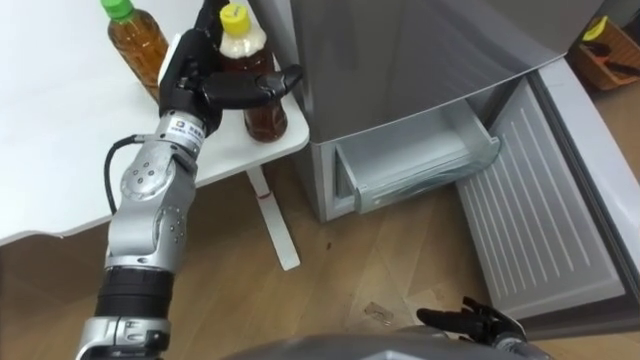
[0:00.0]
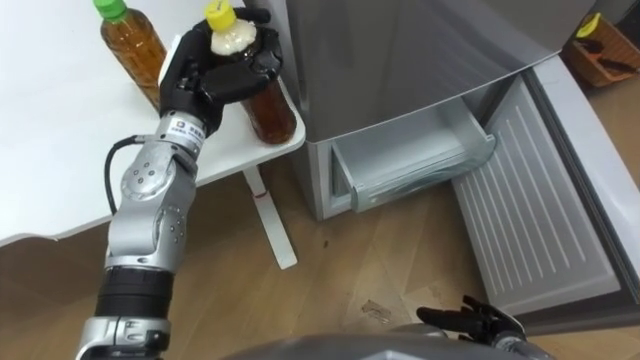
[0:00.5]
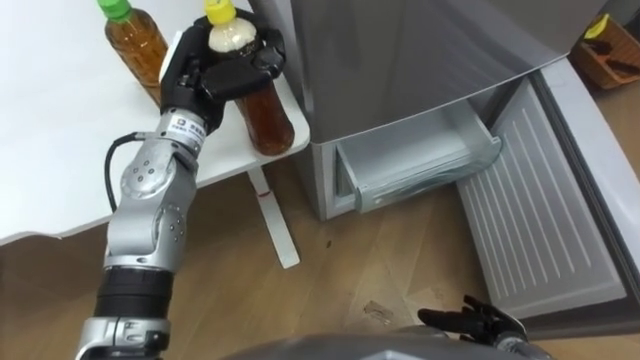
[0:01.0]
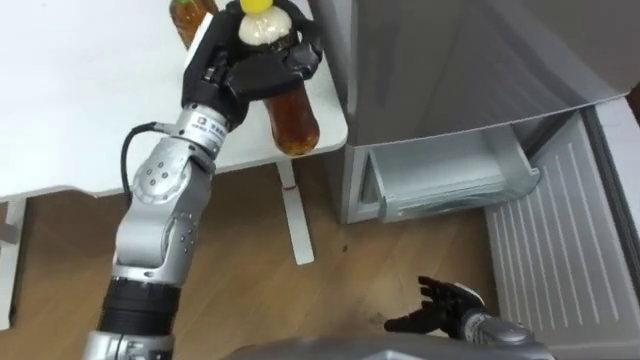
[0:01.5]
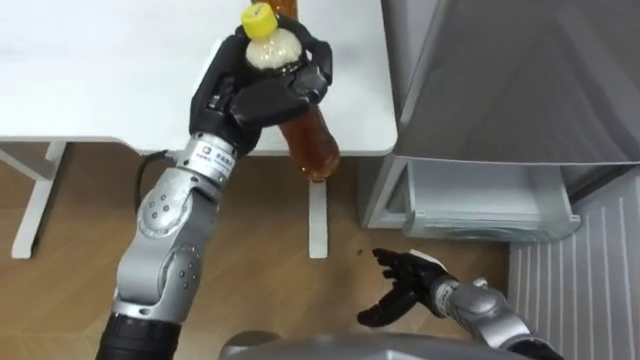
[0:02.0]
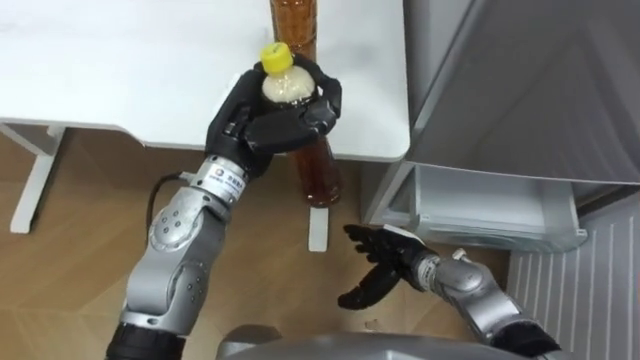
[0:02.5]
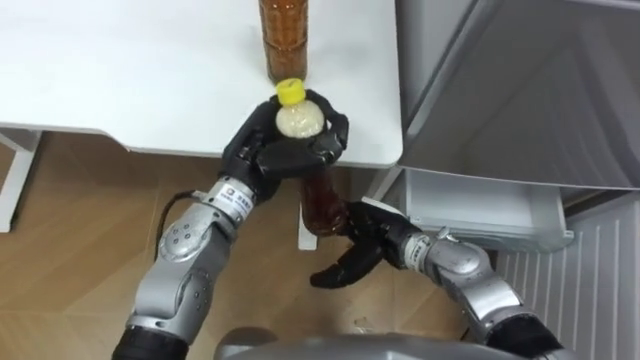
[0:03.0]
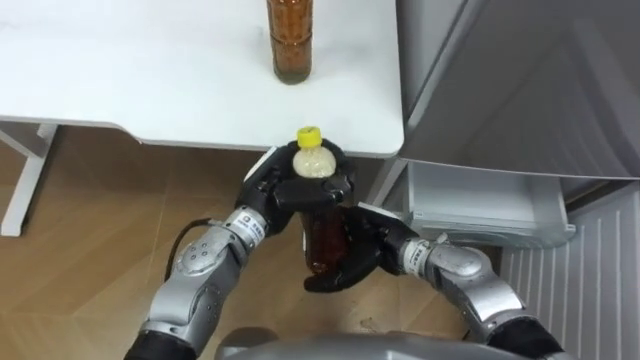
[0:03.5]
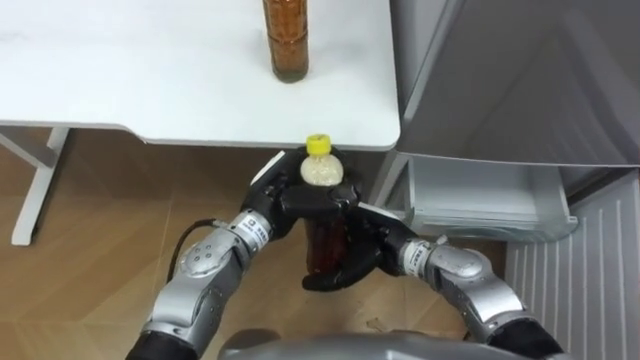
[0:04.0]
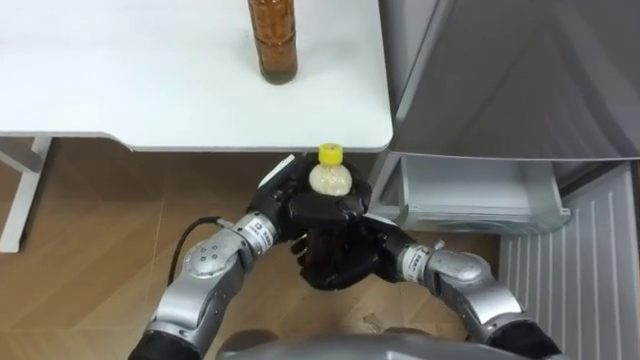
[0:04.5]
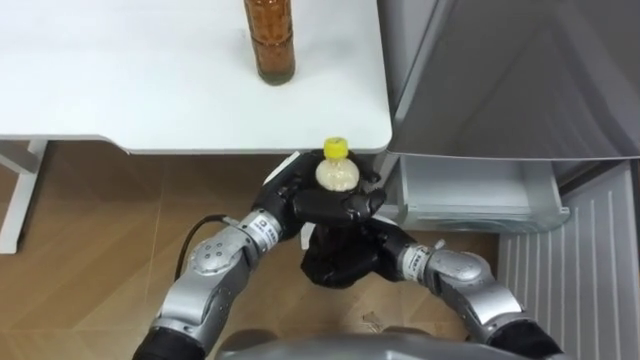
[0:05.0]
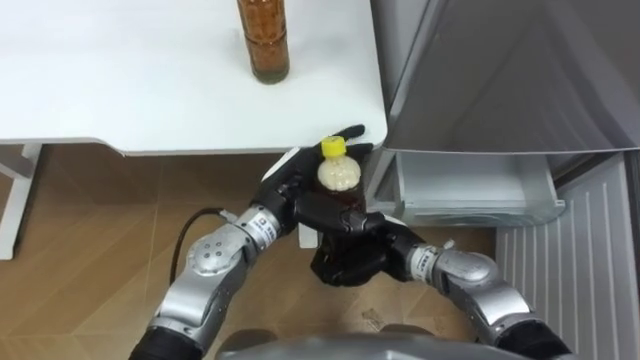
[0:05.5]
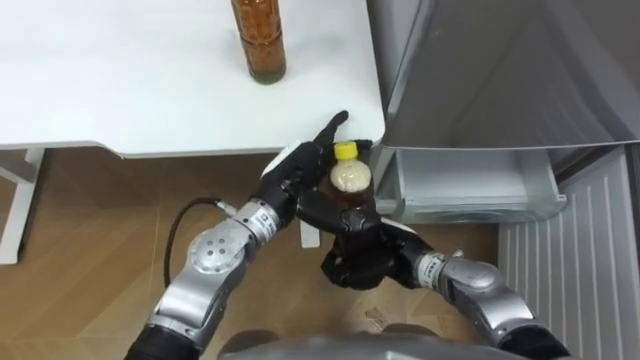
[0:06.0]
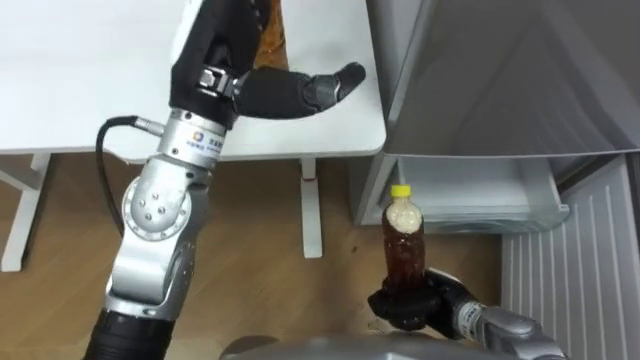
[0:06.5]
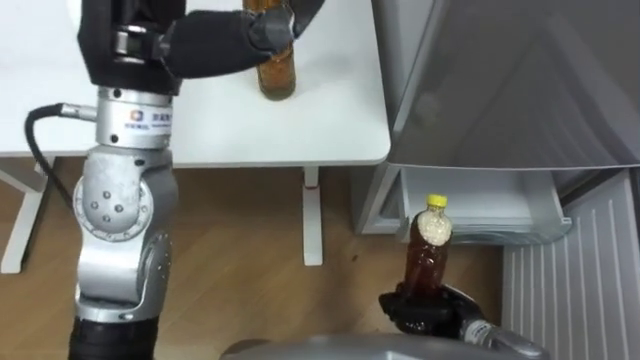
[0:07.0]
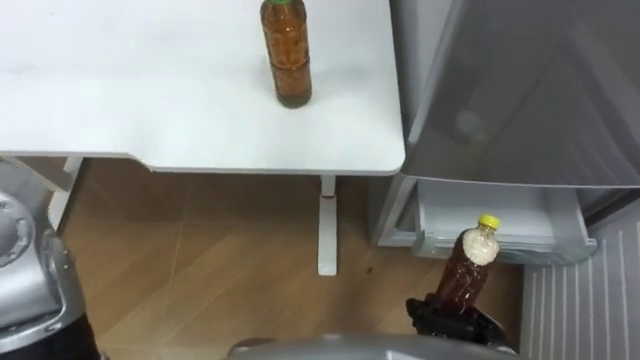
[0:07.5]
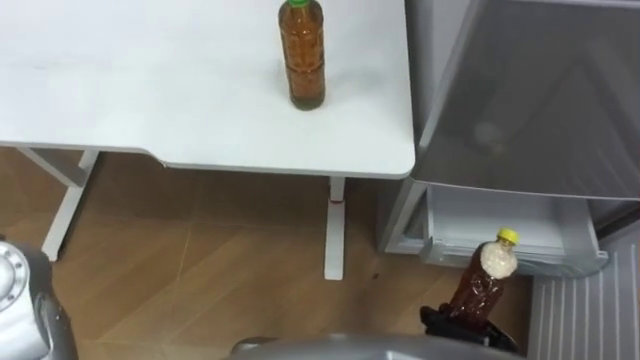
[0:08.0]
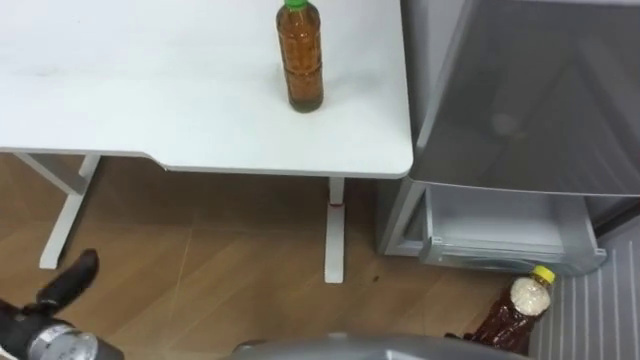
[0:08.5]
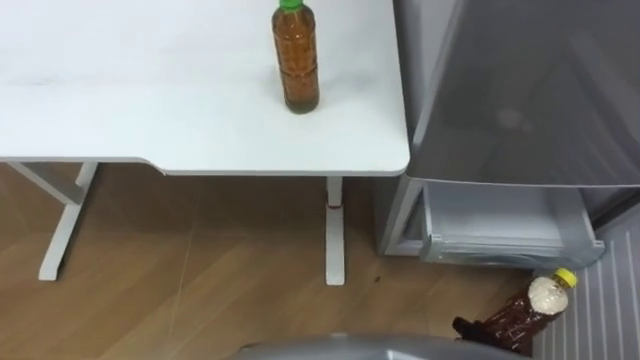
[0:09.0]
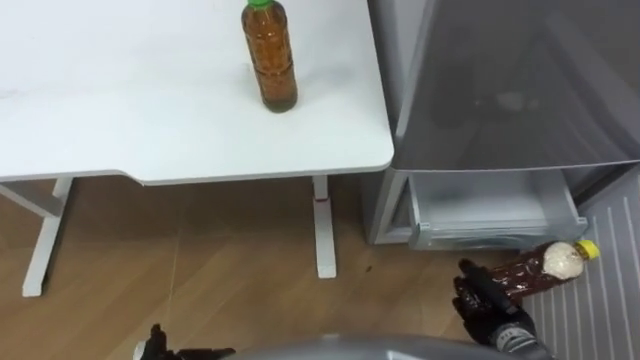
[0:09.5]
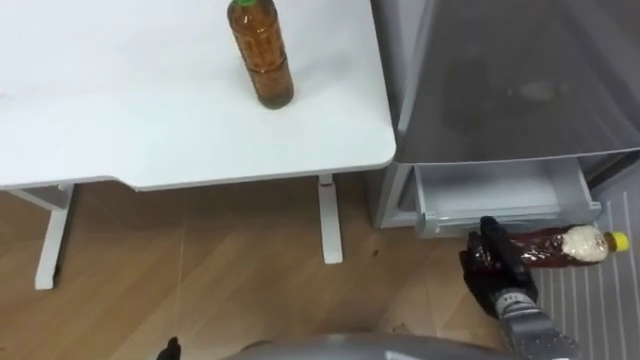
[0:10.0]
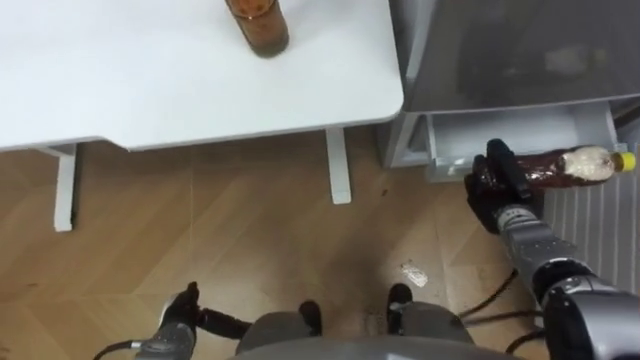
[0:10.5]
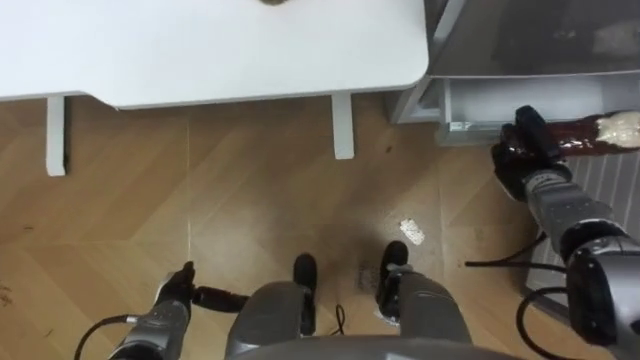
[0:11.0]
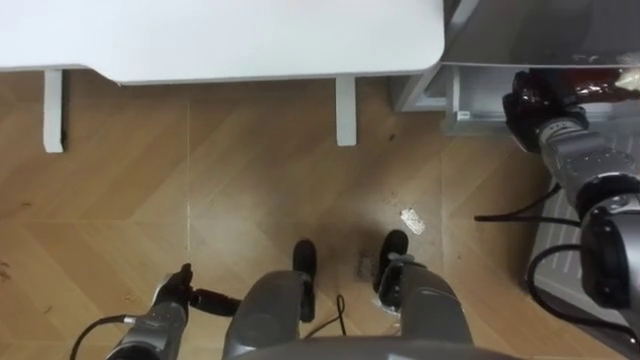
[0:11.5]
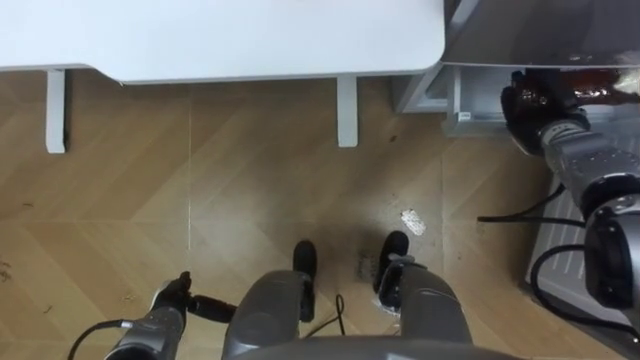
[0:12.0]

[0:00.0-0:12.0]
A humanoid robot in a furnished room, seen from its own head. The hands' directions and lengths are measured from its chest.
Task of the whole recording: Place the drink on the table on the bottom shelf of the refrigerator, then close the drawer and the refrigerator door.
0:00.0 to 0:02.0: The left hand moves to the right, approximately 5 cm, and closes, while the right hand moves to the left and forward, about 15 cm.
0:02.0 to 0:04.0: The right hand moves upward and to the left, roughly 10 cm; the left hand is displaced downward by some 15 cm.
0:04.0 to 0:06.0: The left hand opens its fingers, while the right hand closes.
0:06.0 to 0:08.0: The right hand travels to the right, backward and downward by some 20 cm.
0:10.0 to 0:12.0: The right hand is displaced forward and upward by approximately 25 cm.

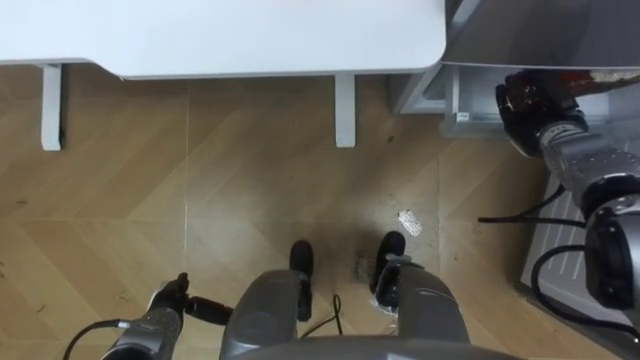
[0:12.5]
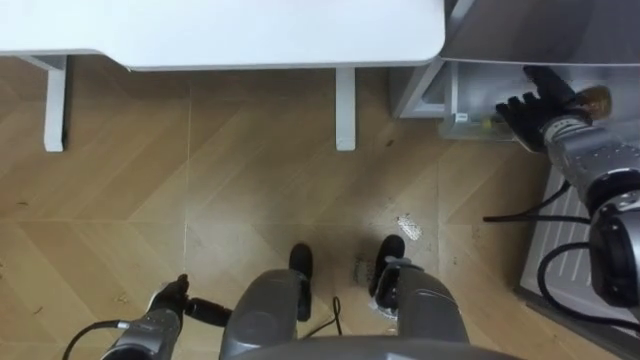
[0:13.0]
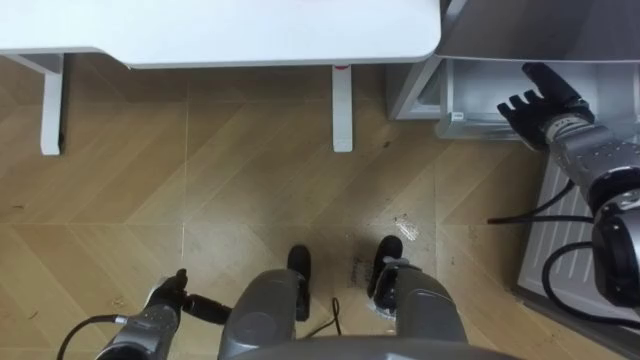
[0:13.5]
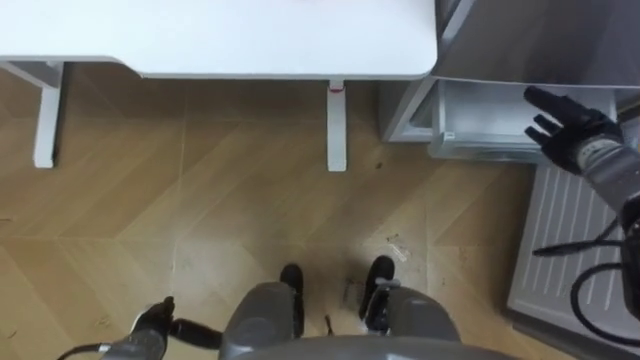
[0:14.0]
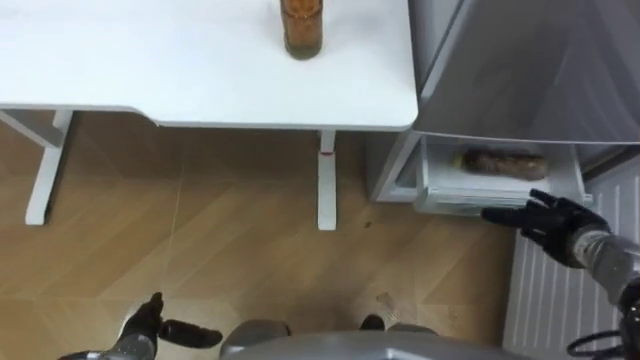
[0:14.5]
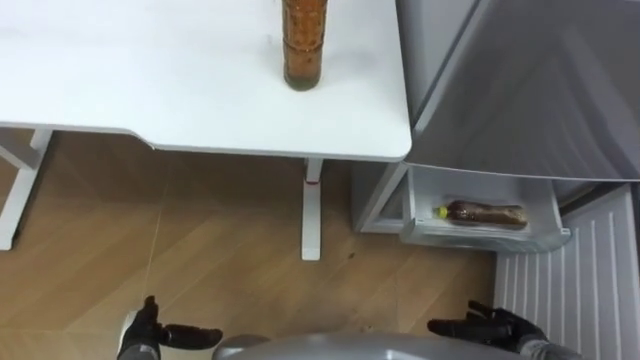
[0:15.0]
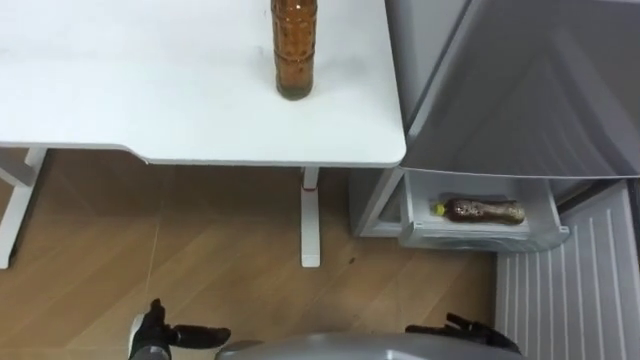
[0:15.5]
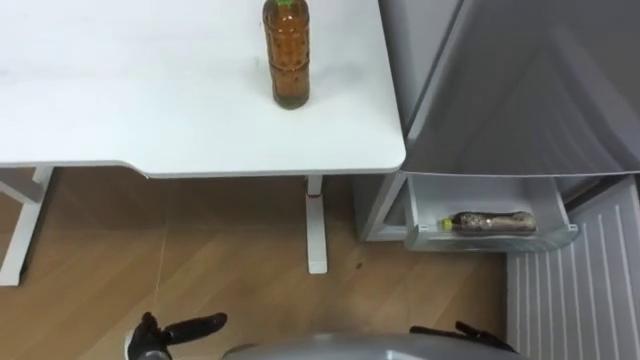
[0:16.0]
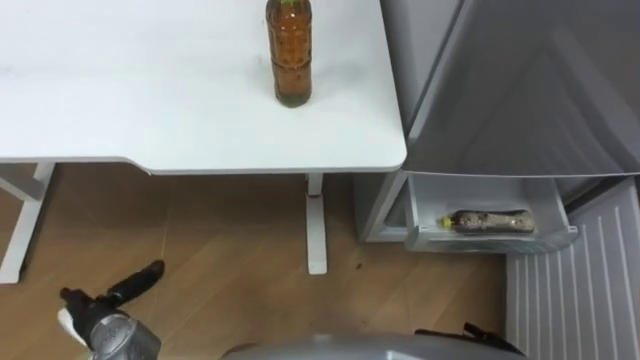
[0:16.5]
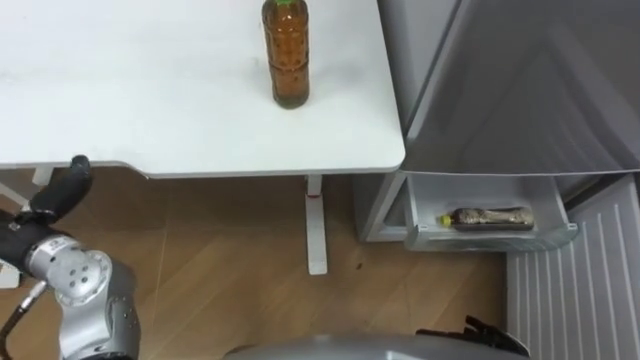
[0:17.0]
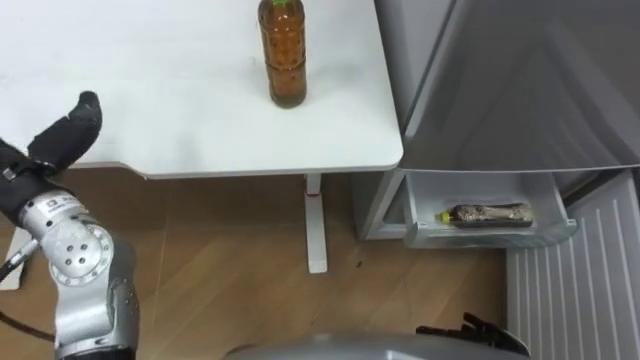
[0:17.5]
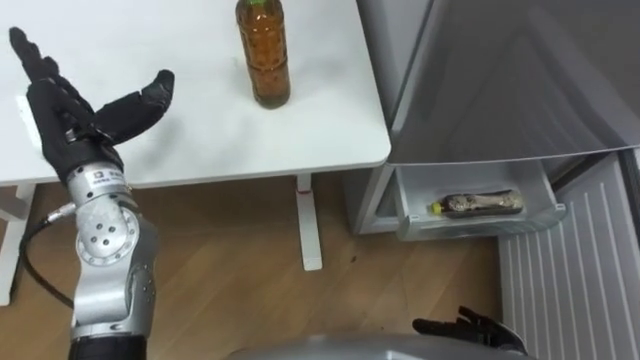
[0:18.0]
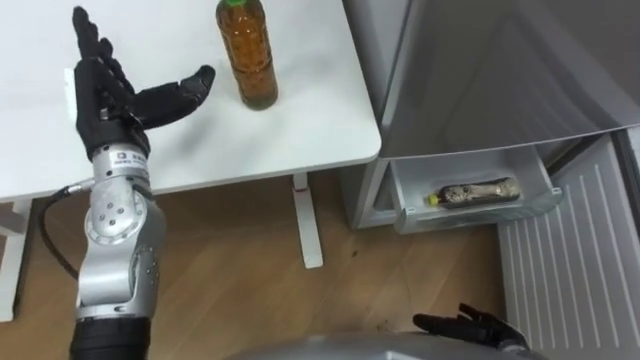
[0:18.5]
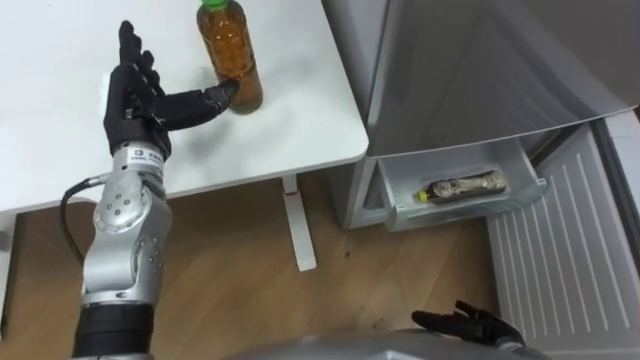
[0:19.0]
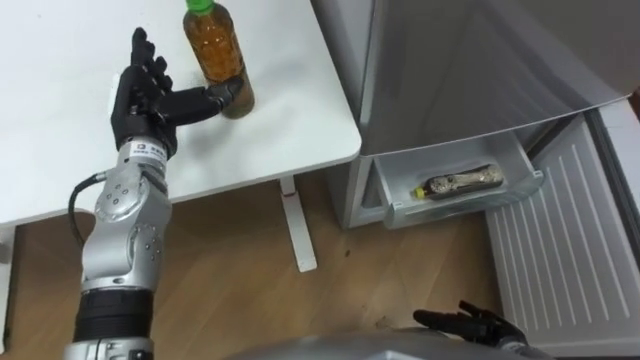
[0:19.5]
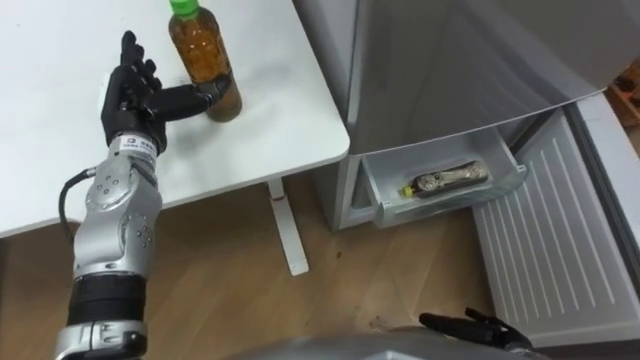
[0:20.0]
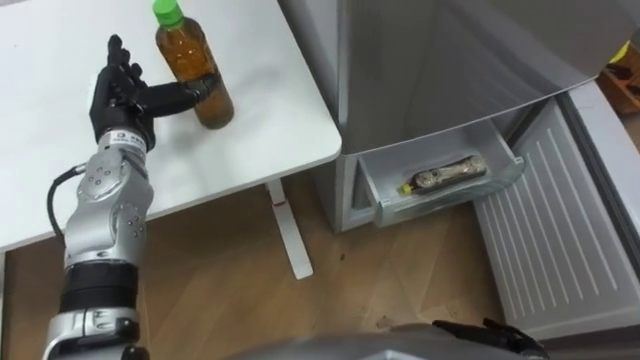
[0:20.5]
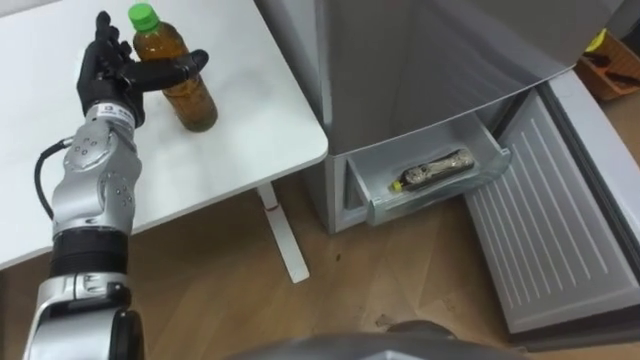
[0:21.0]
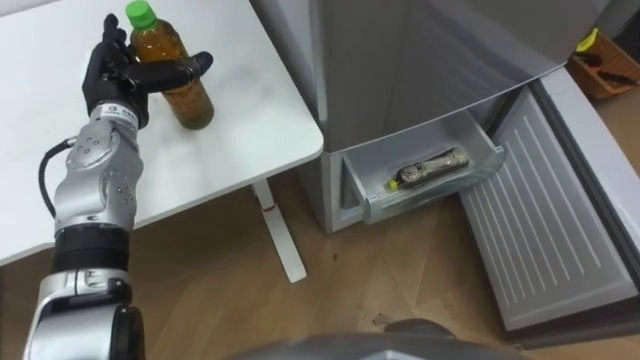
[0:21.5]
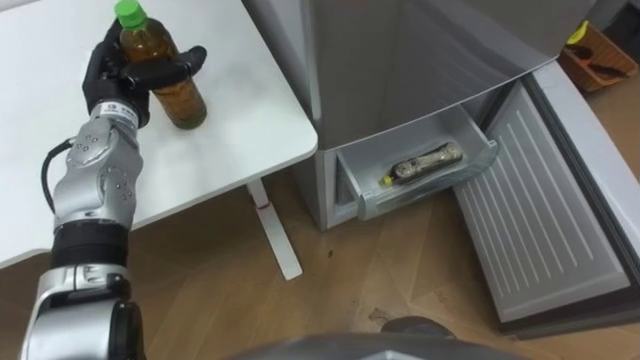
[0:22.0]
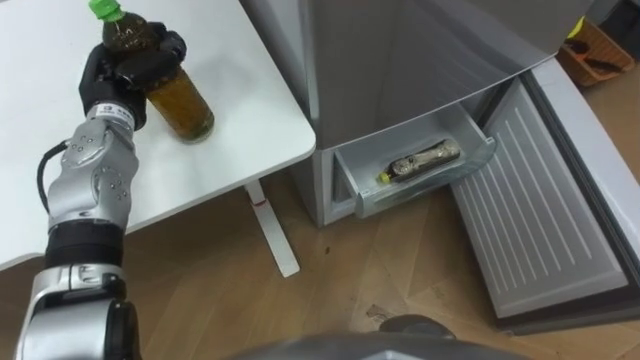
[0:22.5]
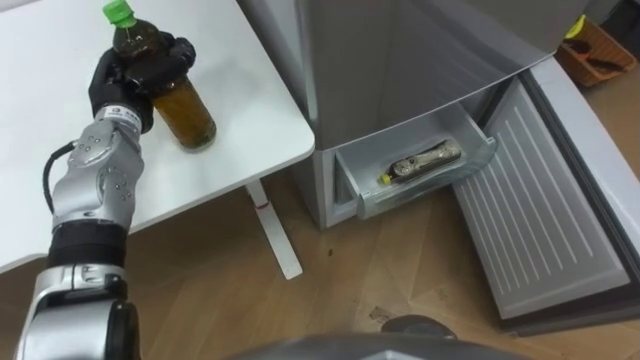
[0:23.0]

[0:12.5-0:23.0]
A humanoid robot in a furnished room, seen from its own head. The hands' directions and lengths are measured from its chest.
Task of the whole recording: Place the drink on the table on the bottom shelf of the refrigerator, then close the drawer and the refrigerator door.
0:12.5 to 0:14.5: The right hand travels backward and downward by roughly 15 cm, and opens up. The left hand moves approximately 5 cm.
0:14.5 to 0:16.5: The left hand shifts by some 5 cm.
0:19.0 to 0:21.0: The left hand ends up about 5 cm from where it was.
0:21.0 to 0:23.0: The left hand closes up.
